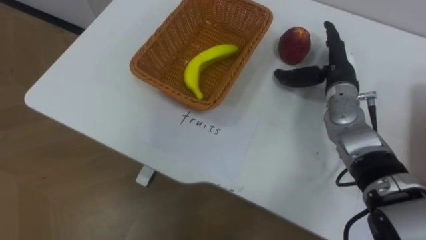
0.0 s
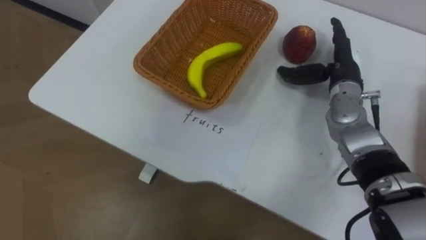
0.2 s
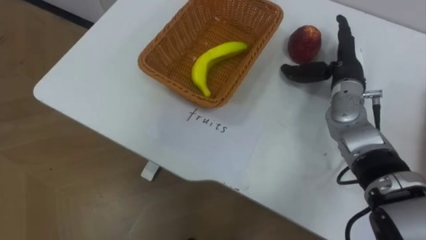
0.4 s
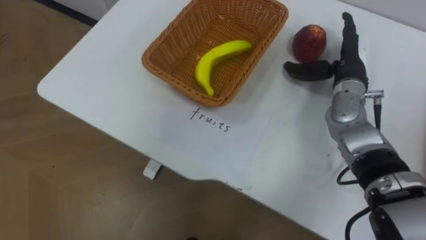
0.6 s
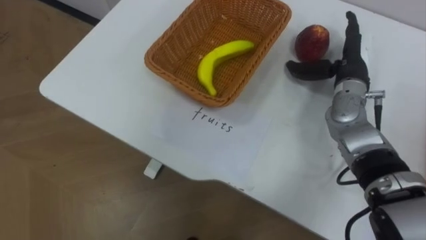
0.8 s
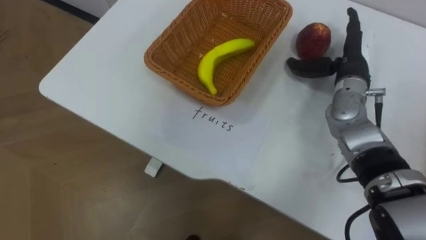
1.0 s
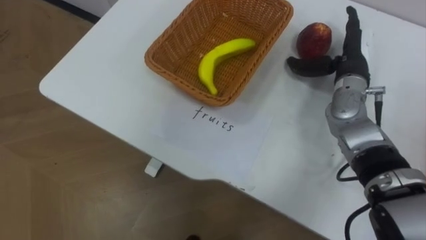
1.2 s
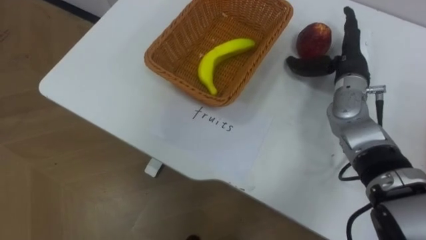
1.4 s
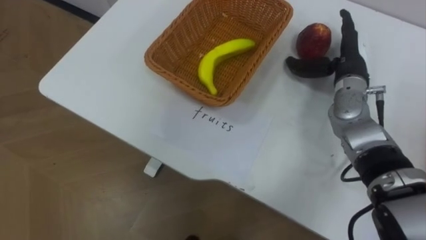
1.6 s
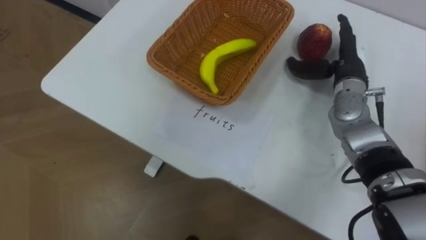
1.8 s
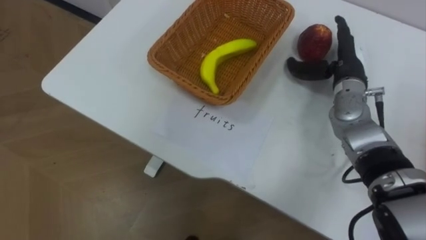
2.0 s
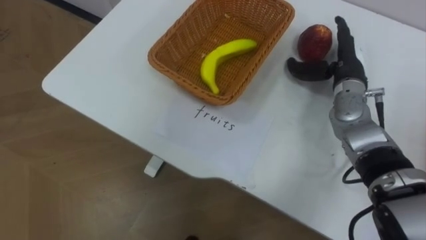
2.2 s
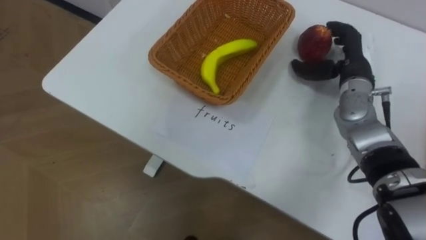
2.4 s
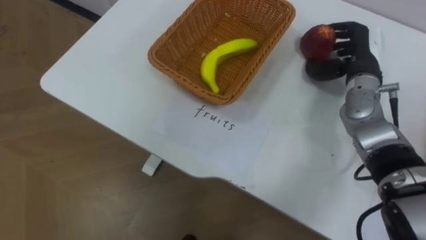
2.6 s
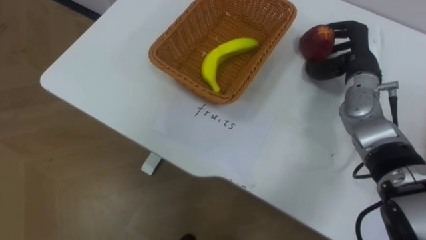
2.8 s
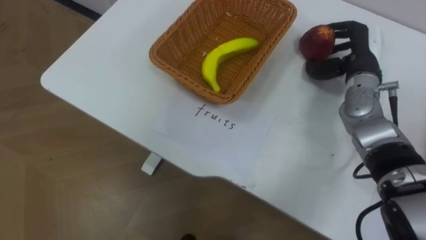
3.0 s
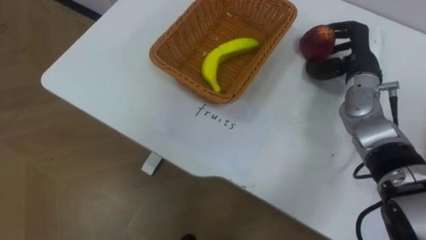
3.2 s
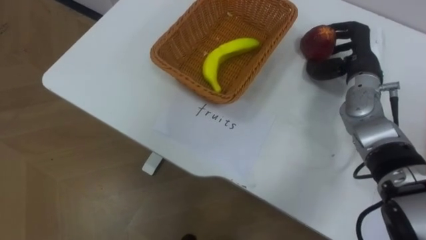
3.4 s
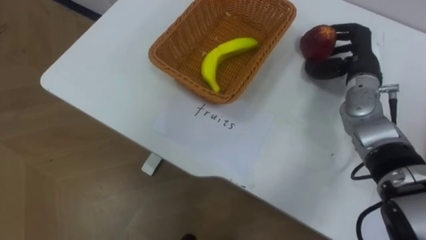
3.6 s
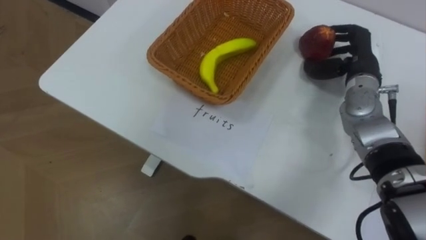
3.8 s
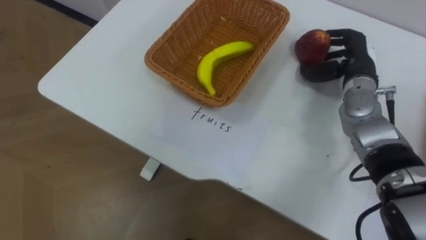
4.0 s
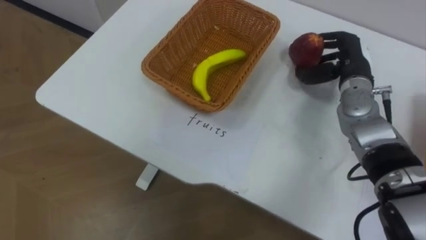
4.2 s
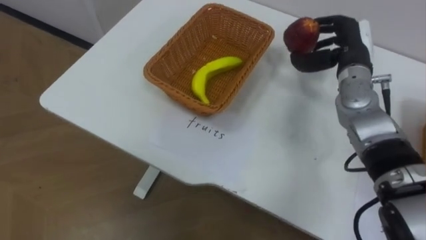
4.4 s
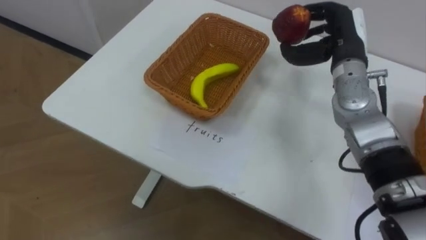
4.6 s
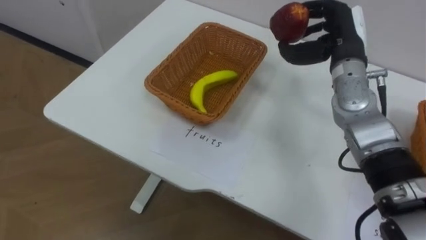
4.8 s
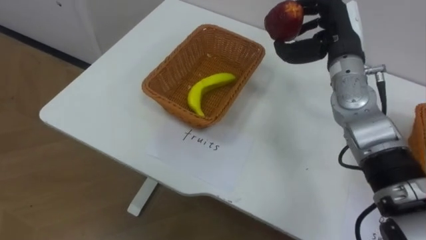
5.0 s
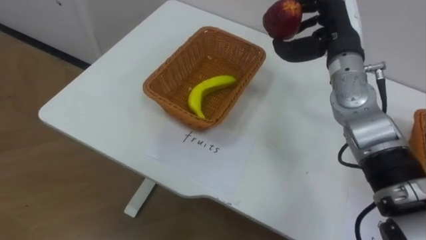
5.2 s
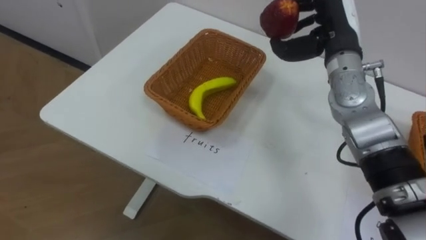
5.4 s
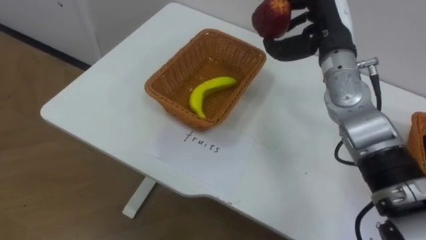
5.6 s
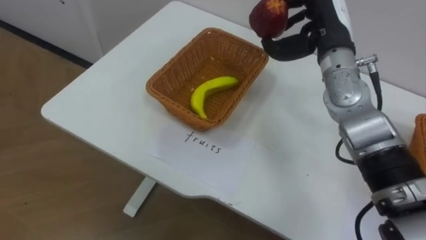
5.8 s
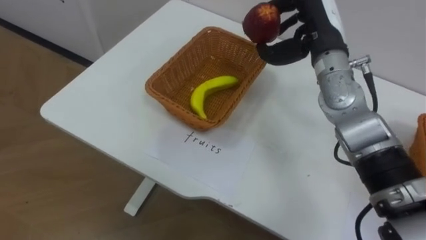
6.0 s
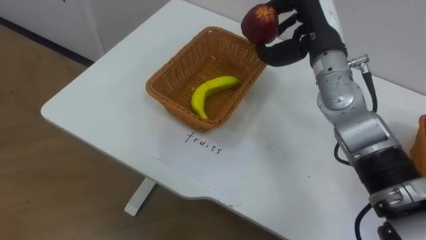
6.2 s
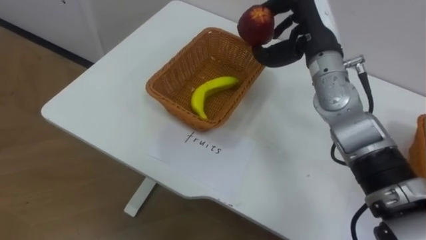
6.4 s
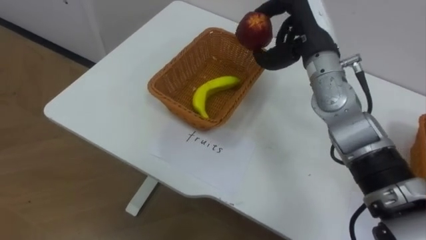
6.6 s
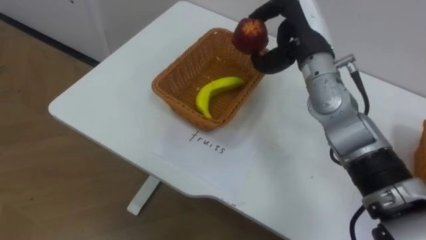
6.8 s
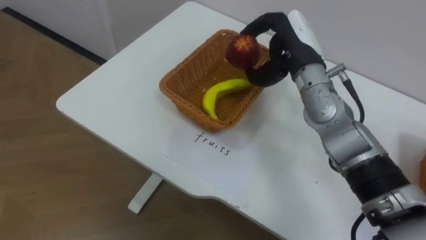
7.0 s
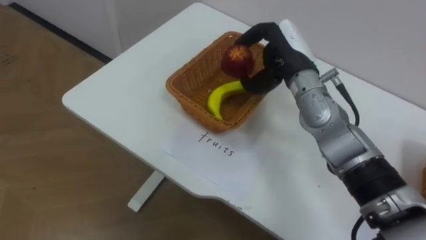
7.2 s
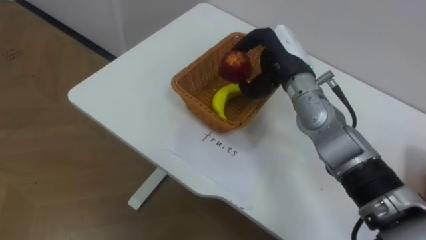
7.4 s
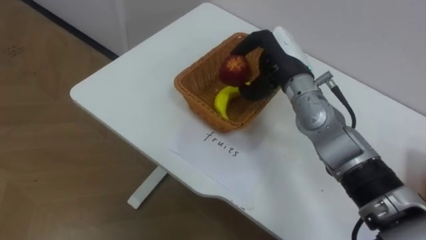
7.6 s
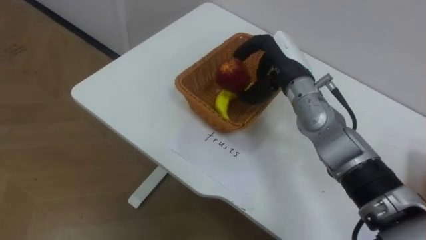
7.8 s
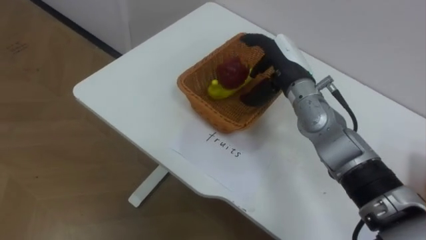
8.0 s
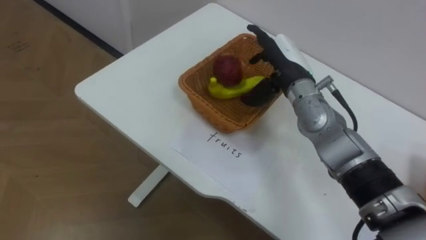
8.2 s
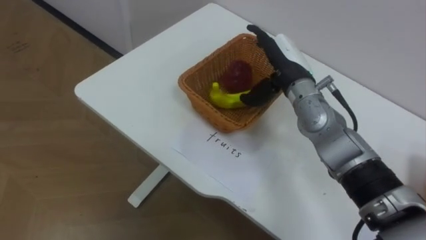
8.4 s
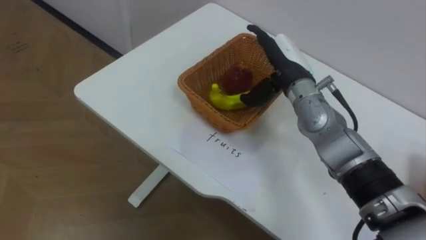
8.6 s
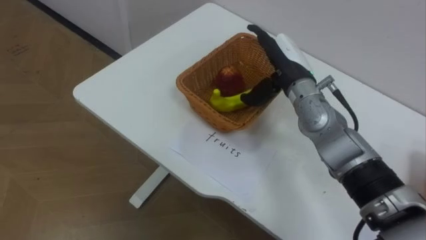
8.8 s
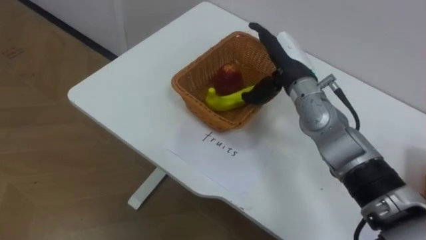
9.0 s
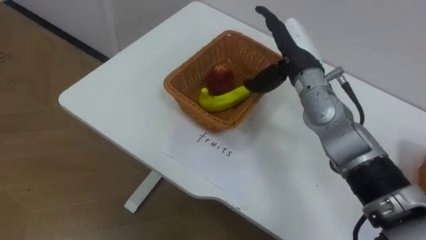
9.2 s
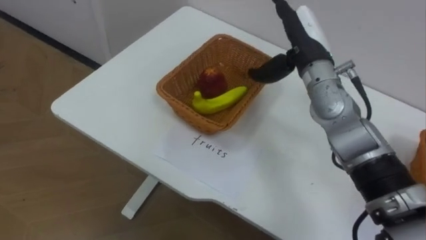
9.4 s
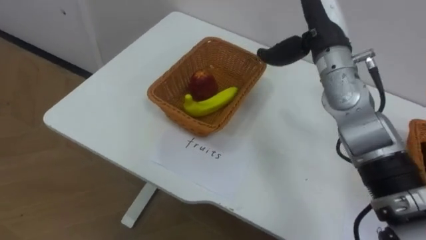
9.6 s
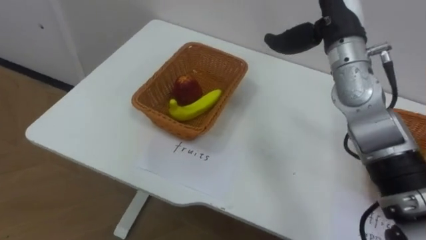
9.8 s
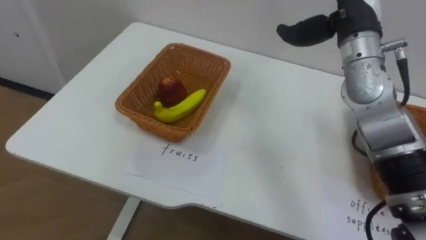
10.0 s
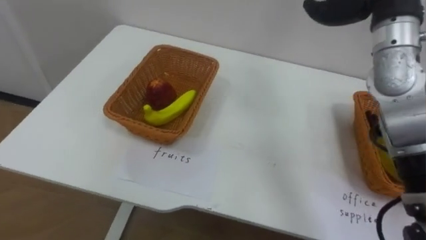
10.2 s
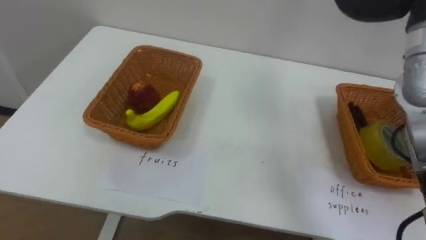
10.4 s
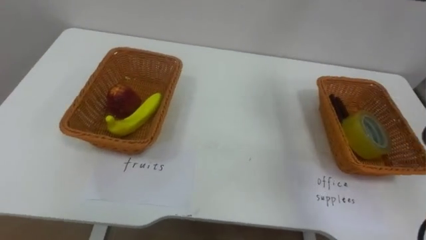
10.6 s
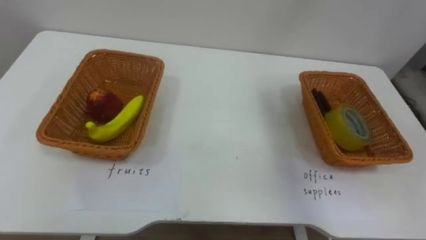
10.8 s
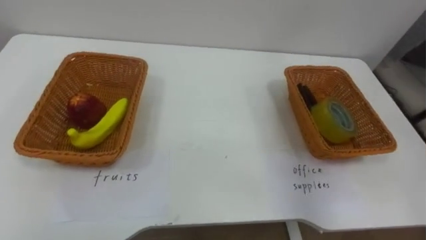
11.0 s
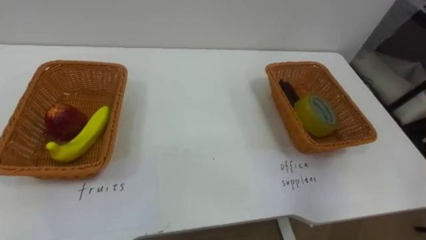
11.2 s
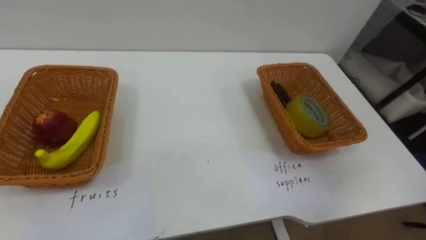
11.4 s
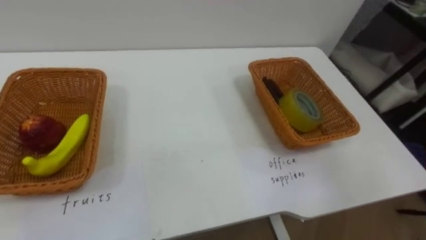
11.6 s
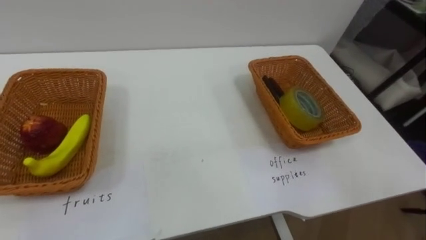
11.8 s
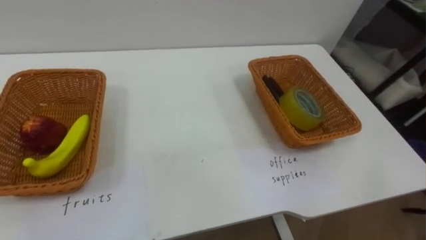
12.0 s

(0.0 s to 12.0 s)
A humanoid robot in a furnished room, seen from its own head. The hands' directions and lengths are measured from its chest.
Task of the whole recording: Separate the items on the table and place them into the two baskets.
1.6 s - 3.0 s: The right hand closes up.
4.4 s - 6.0 s: The right hand heads to the left and upward, covering about 10 cm.
6.0 s - 7.6 s: The right hand is displaced to the left by some 5 cm.
7.6 s - 9.0 s: The right hand opens up.

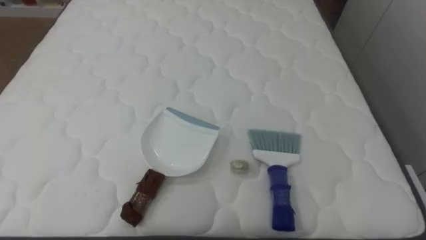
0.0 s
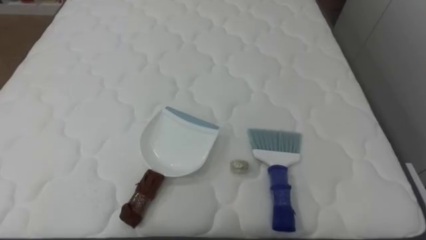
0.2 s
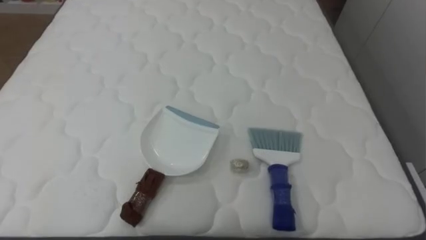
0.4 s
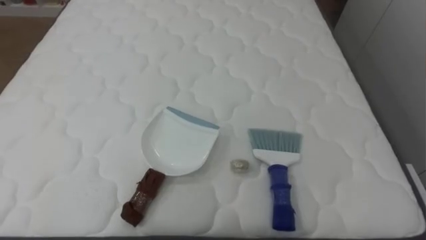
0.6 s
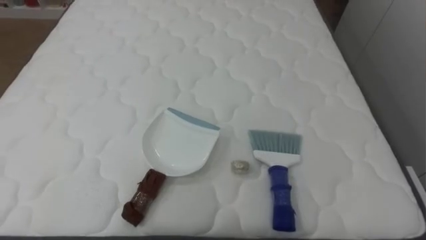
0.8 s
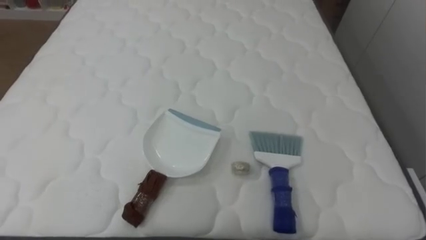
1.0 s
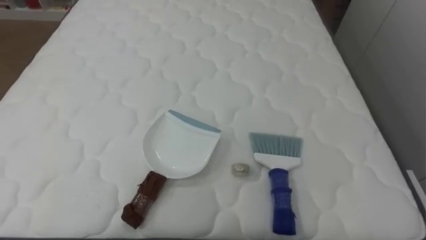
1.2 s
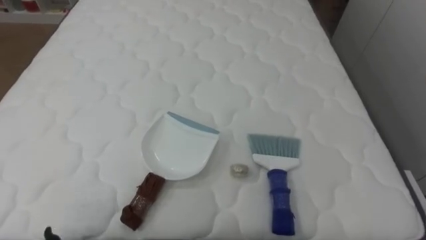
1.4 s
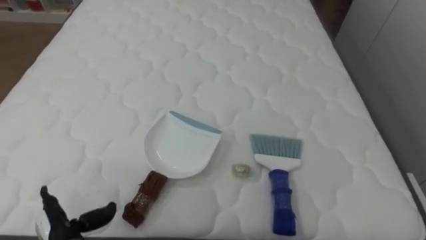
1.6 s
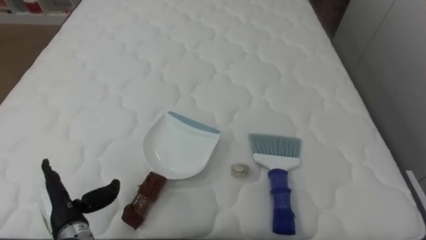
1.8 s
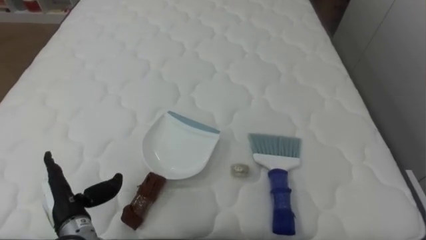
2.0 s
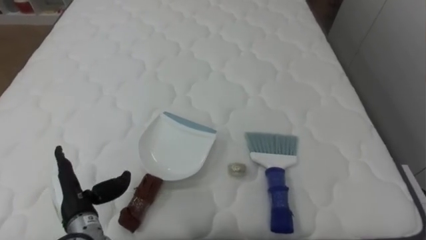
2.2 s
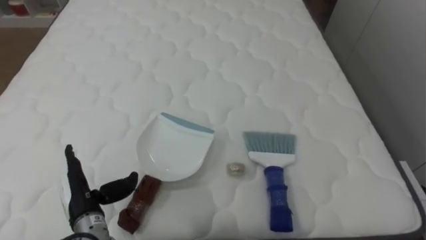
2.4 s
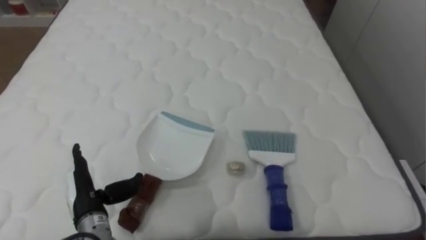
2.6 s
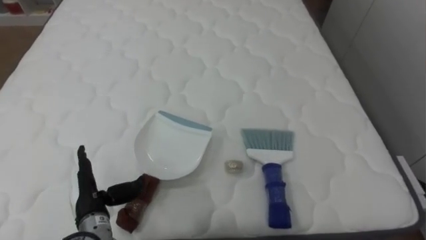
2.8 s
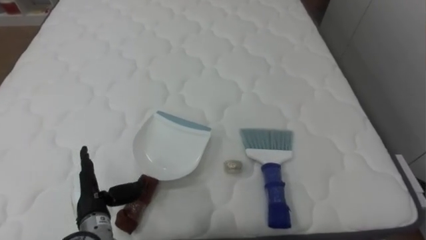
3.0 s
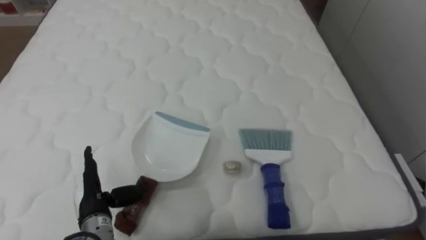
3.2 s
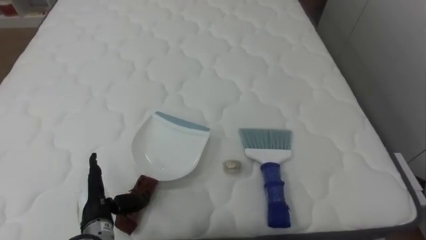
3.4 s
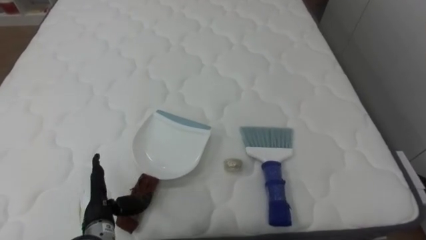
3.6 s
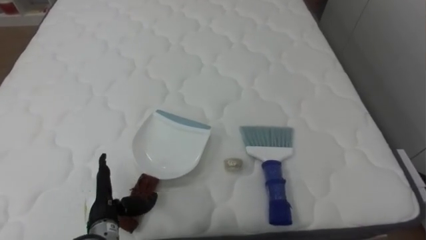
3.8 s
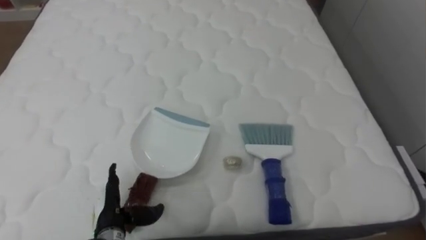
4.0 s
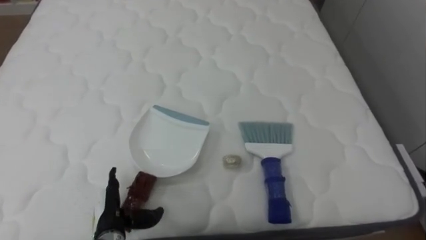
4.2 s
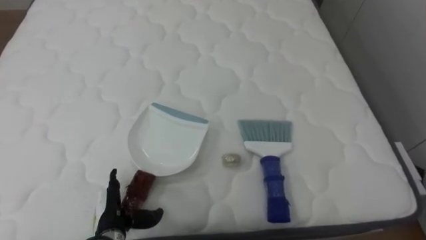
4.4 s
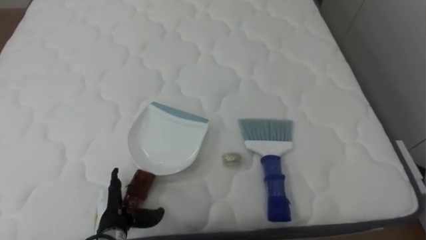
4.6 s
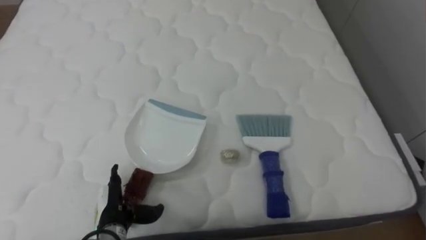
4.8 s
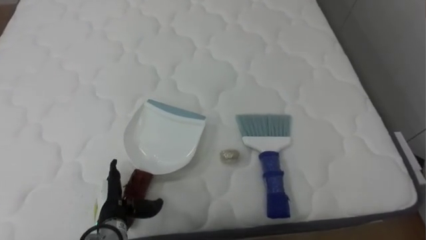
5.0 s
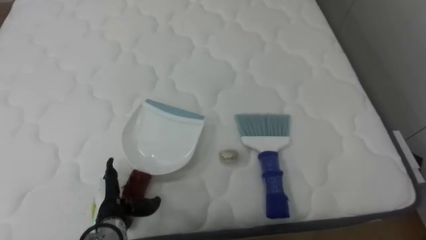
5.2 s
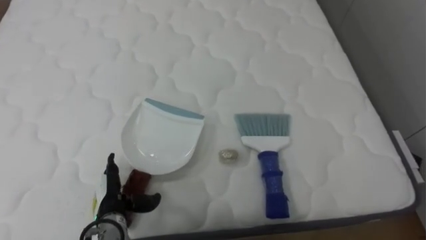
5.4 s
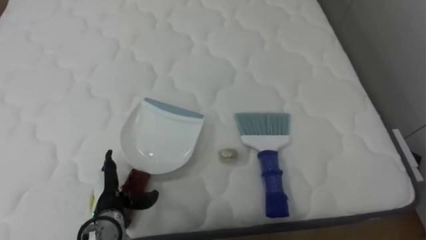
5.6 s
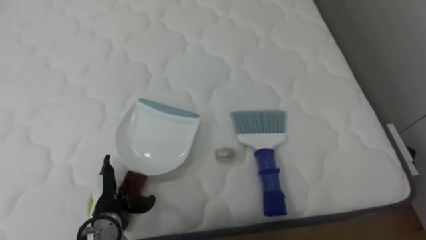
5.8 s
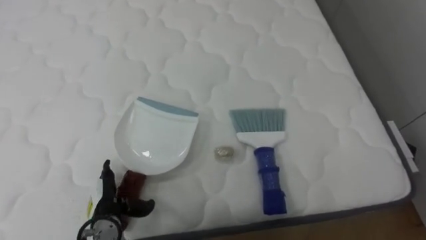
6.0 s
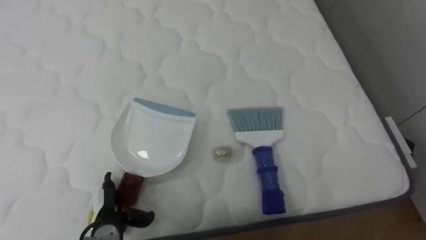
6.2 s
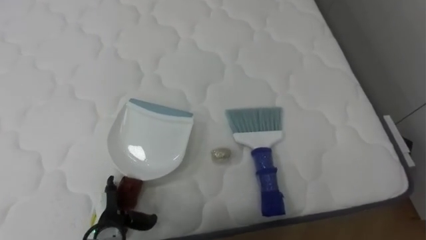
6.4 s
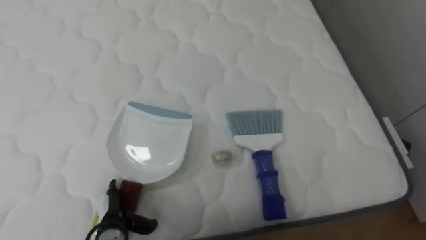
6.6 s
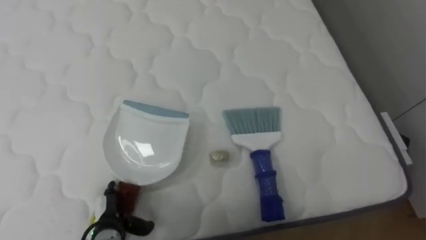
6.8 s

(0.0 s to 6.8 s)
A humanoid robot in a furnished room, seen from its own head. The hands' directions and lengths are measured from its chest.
Task of the whole recording: Pick up the brush on your right and the dustpan on your left. Use the brush to sweep the crumpled paper on the bed into the dustpan, then turn left and empty it into the basket.
2.8 s - 4.0 s: The left hand moves roughly 5 cm.
5.4 s - 6.8 s: The left hand ends up some 5 cm from where it was.
